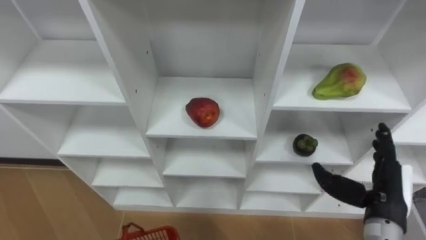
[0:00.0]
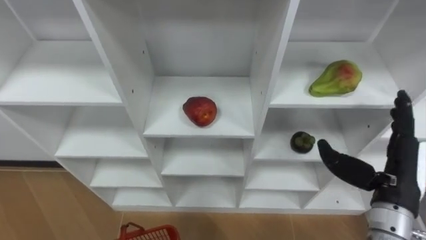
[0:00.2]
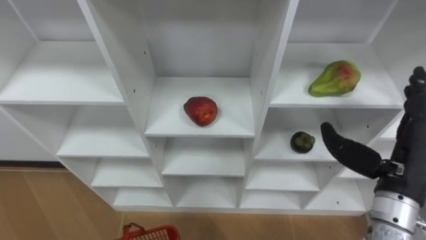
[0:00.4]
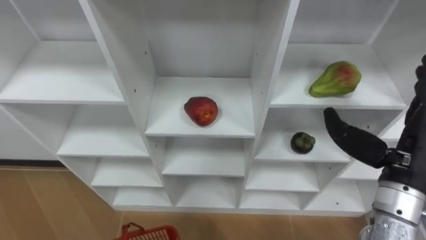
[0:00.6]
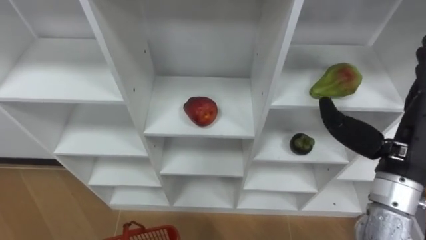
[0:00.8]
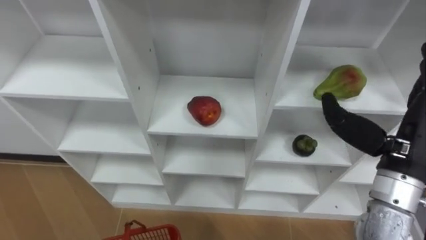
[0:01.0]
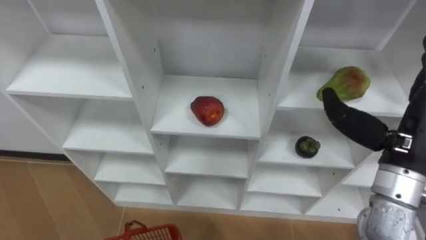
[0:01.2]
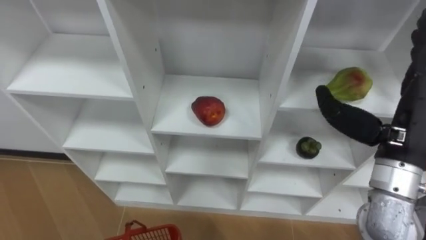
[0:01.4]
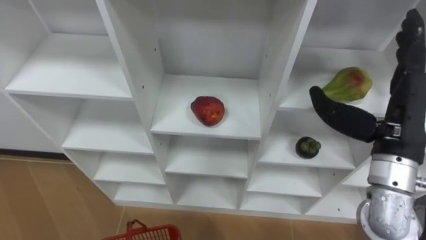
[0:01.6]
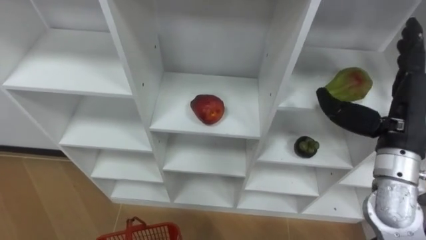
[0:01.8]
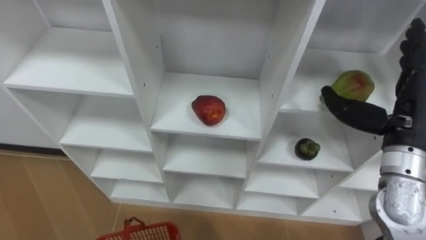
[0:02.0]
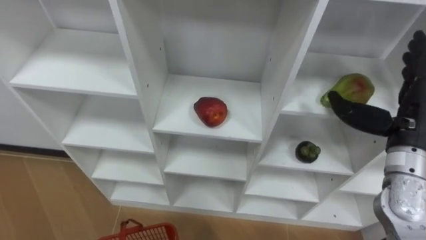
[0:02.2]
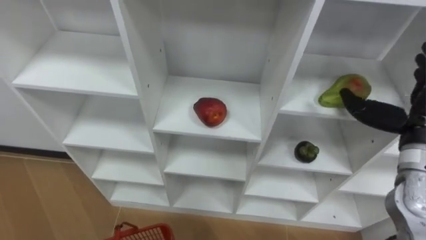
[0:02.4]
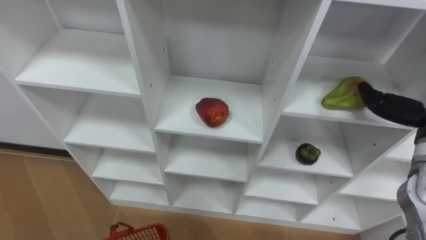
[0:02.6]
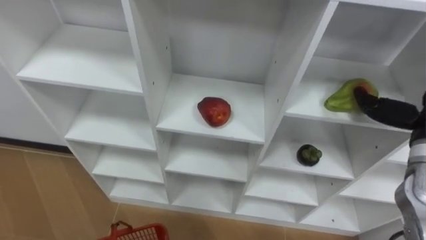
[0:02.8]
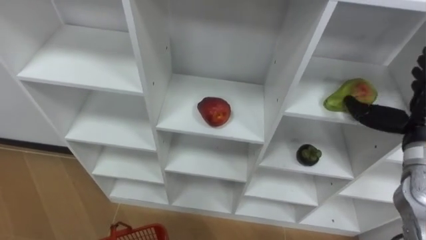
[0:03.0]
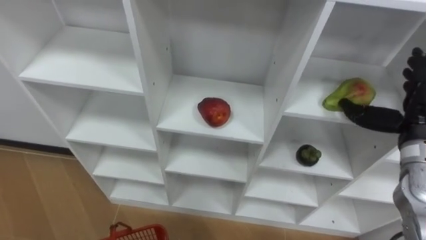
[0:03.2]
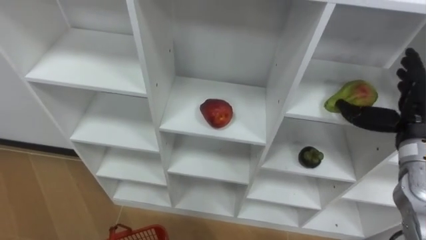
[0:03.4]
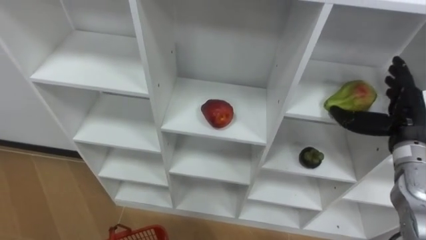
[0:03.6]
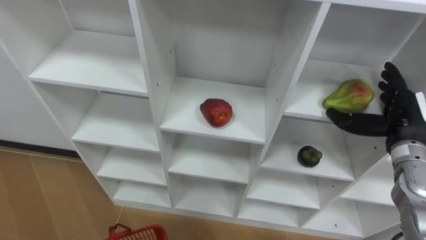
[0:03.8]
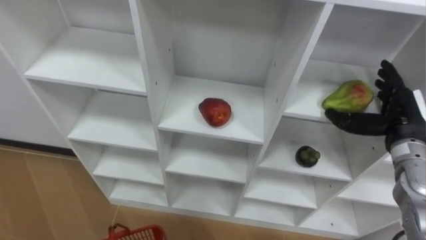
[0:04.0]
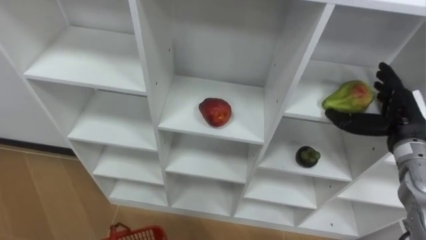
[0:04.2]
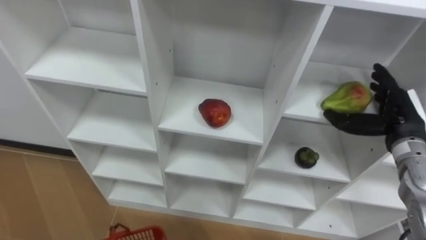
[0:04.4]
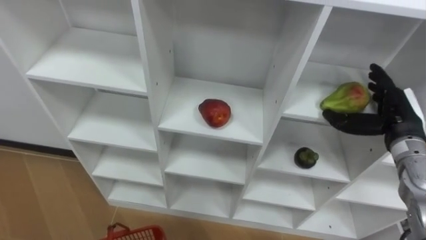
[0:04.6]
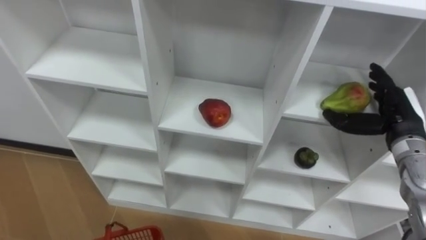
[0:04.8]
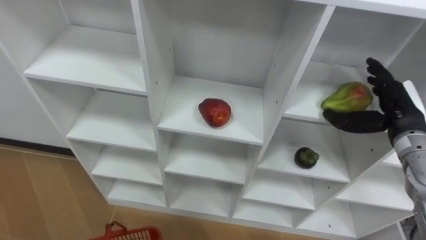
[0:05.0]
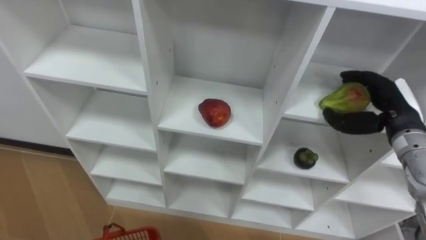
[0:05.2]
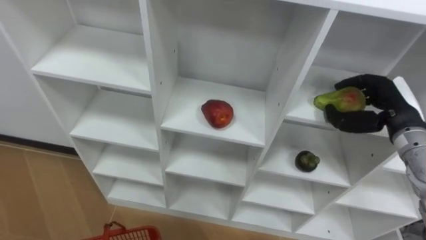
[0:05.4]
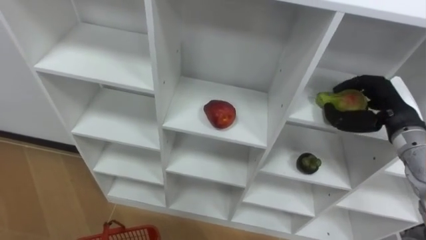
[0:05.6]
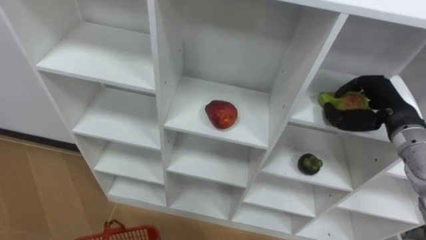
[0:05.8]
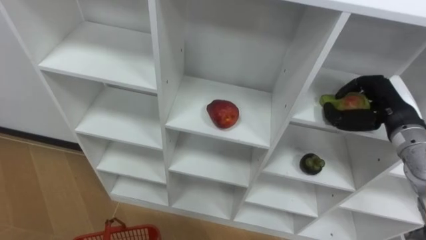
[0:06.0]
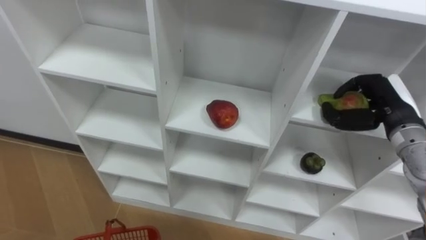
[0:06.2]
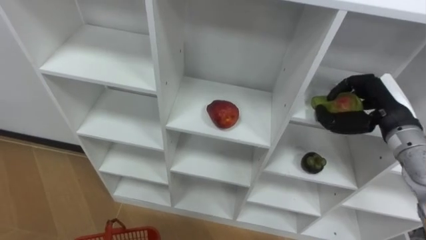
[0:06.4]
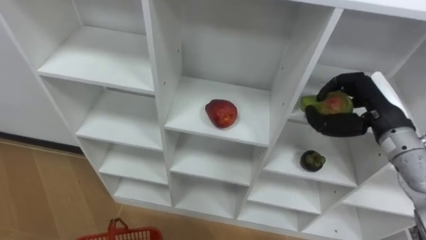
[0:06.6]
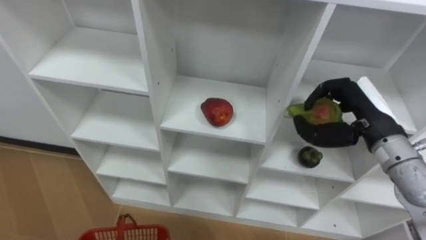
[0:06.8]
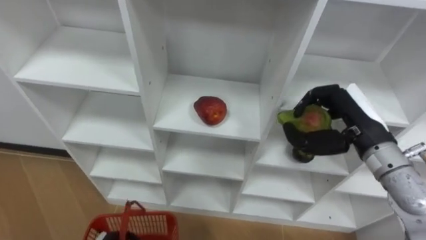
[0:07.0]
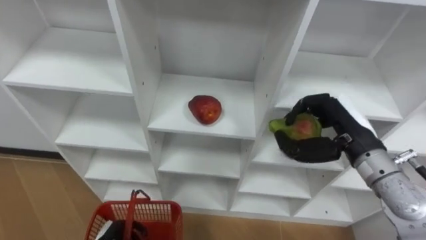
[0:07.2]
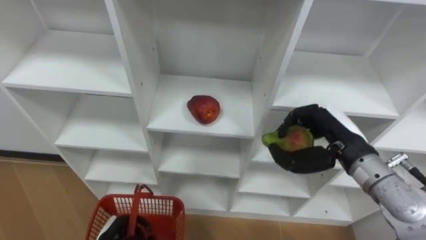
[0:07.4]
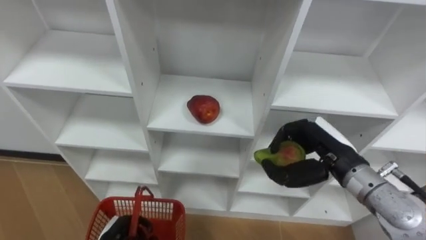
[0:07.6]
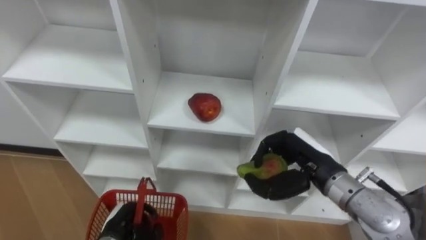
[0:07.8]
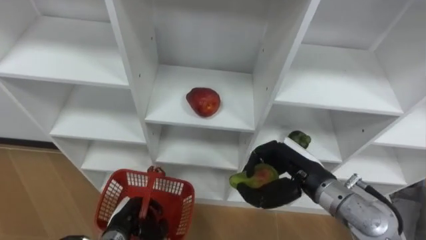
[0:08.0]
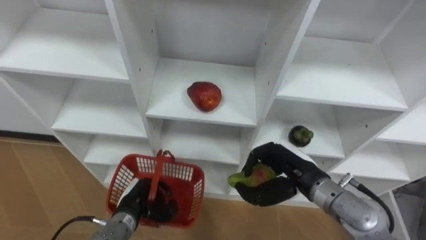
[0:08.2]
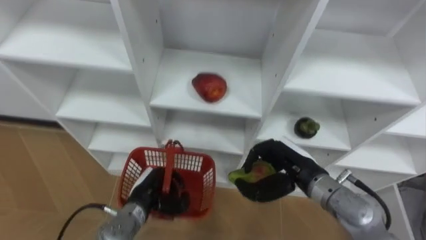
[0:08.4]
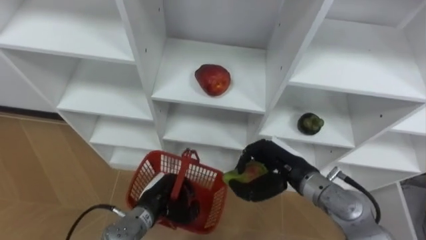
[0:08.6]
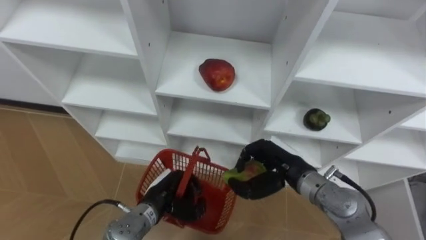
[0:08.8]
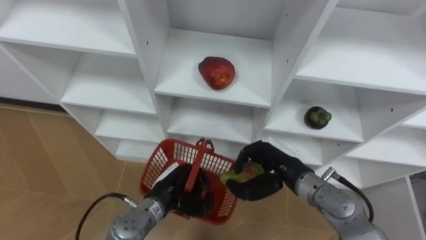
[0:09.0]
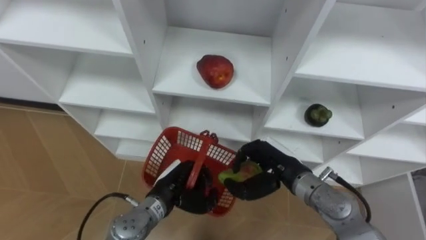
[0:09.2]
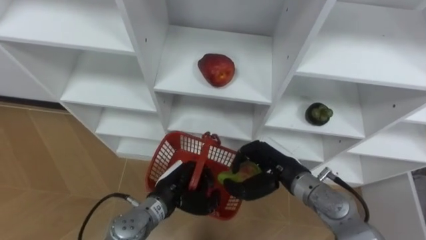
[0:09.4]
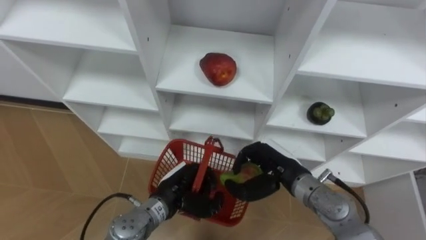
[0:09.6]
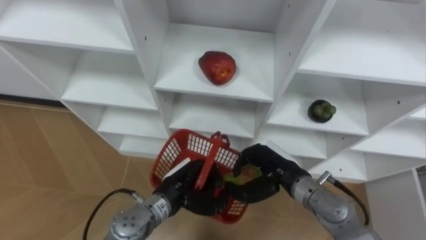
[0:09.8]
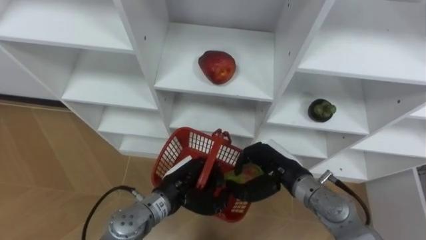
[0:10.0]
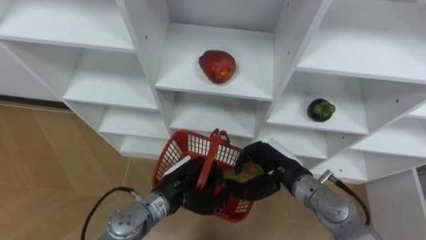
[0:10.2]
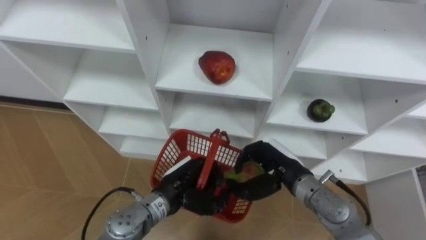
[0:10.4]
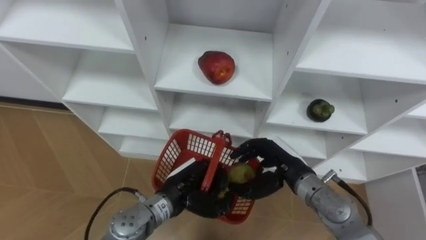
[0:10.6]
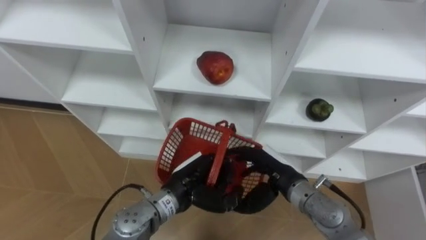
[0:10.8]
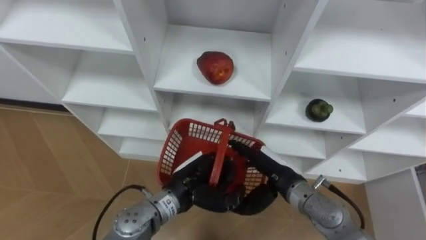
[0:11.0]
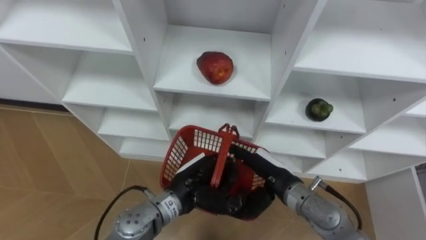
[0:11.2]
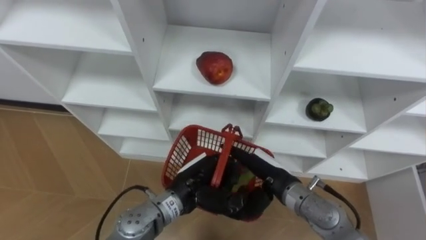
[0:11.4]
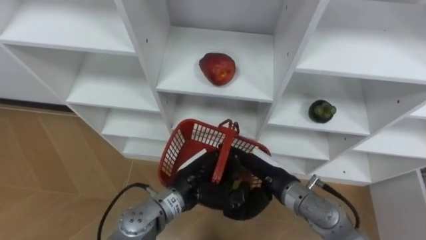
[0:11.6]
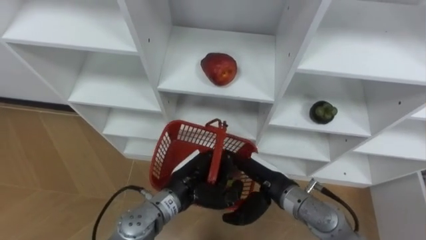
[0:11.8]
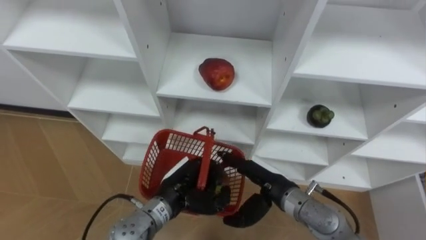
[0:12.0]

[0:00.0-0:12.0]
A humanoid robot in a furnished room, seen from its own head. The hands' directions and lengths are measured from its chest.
Task of the whole recording: Hold the basket and collect the fruits from 3 different cells of the closet into it.
0:00.0 to 0:01.6: The right hand moves upward, about 15 cm.
0:03.0 to 0:04.4: The right hand moves approximately 5 cm.
0:04.4 to 0:06.0: The right hand closes.
0:06.0 to 0:07.6: The right hand travels to the left and backward by roughly 15 cm.
0:07.6 to 0:09.0: The right hand travels to the left and downward by about 10 cm. The left hand travels to the right, forward and upward by roughly 15 cm.
0:10.4 to 0:12.0: The right hand opens up.

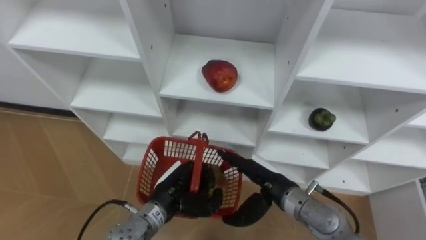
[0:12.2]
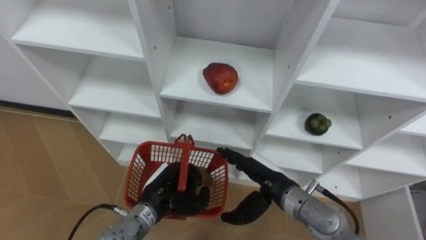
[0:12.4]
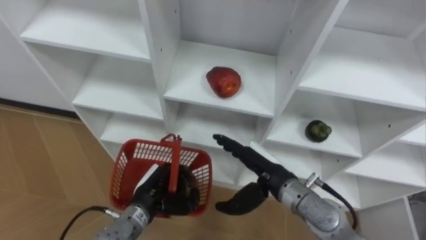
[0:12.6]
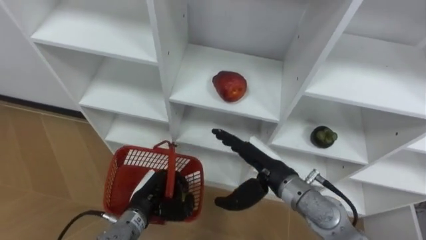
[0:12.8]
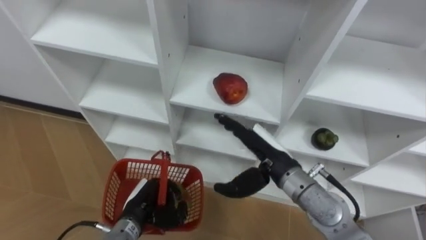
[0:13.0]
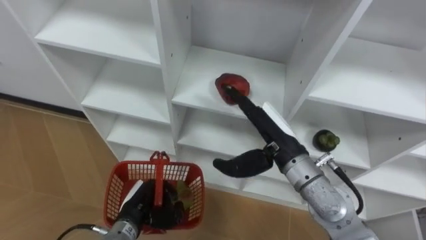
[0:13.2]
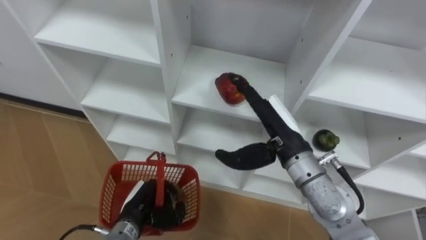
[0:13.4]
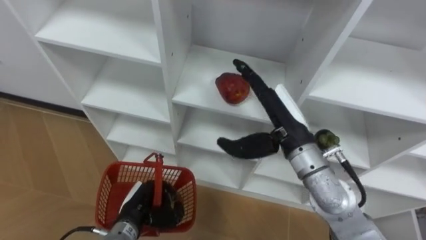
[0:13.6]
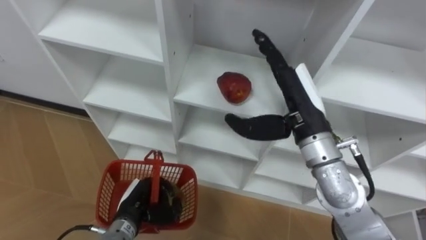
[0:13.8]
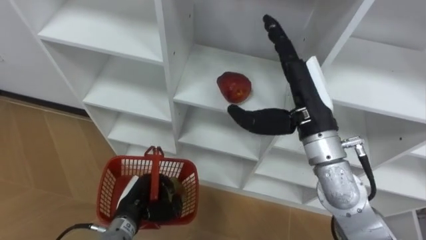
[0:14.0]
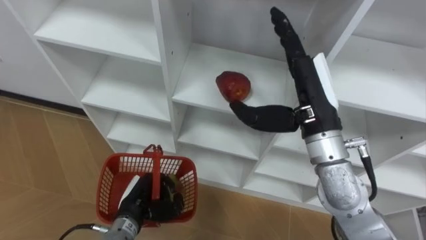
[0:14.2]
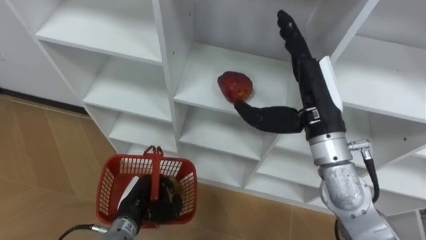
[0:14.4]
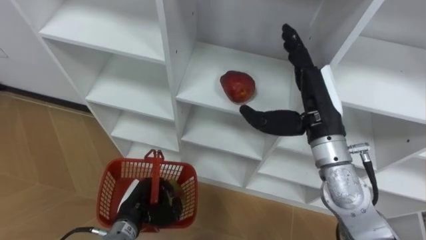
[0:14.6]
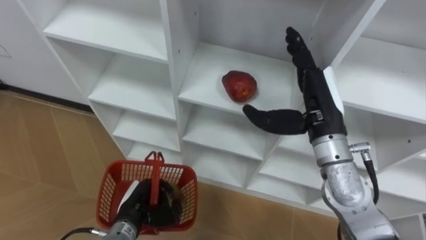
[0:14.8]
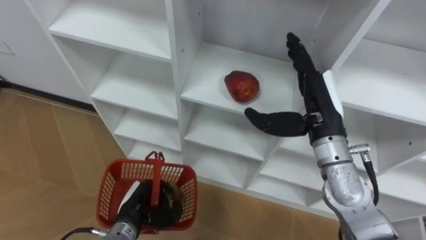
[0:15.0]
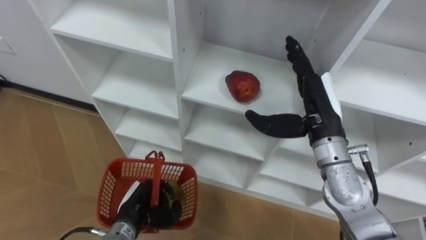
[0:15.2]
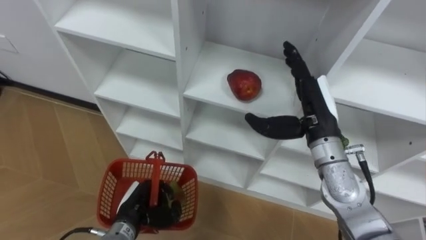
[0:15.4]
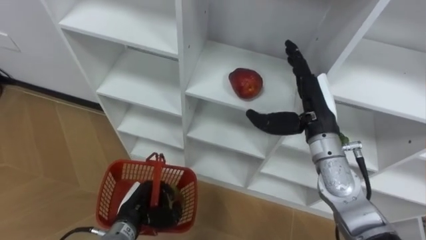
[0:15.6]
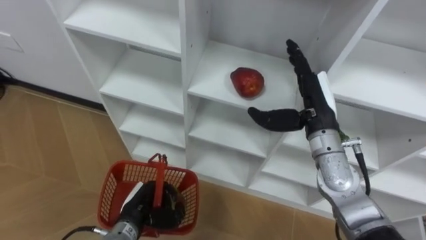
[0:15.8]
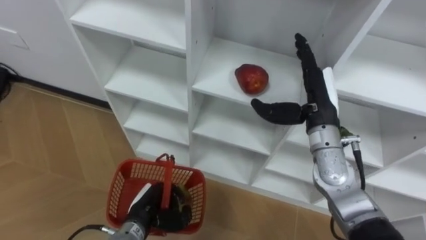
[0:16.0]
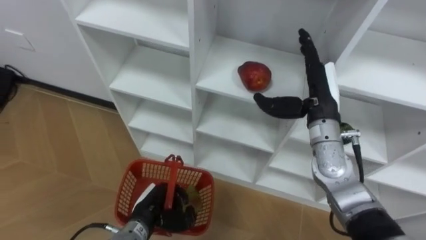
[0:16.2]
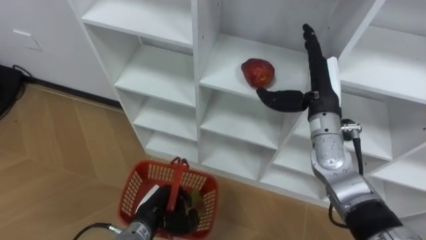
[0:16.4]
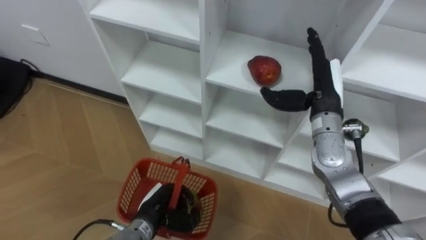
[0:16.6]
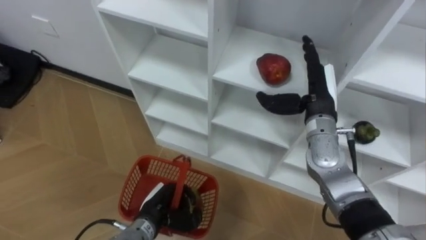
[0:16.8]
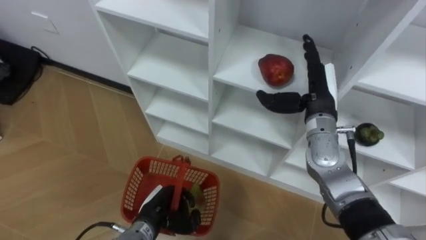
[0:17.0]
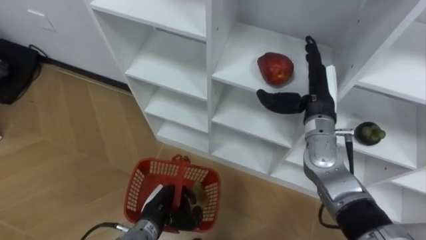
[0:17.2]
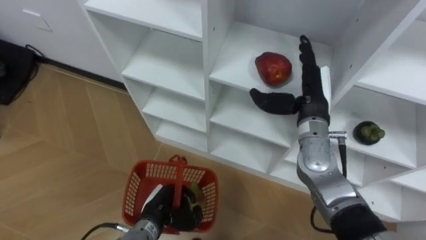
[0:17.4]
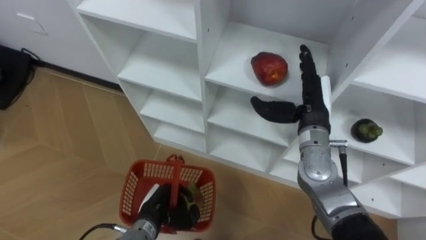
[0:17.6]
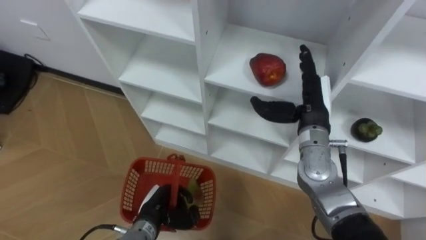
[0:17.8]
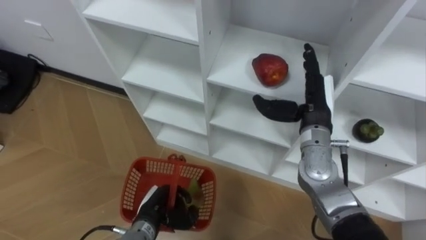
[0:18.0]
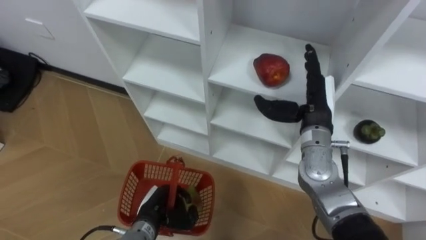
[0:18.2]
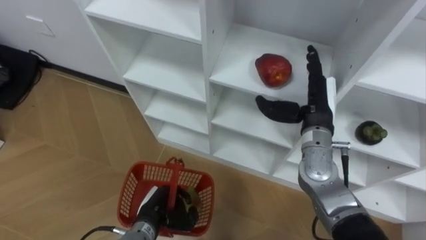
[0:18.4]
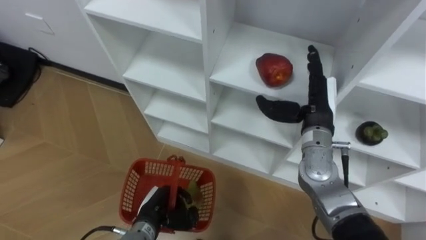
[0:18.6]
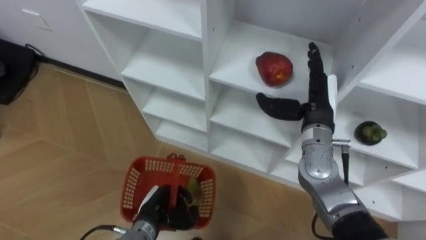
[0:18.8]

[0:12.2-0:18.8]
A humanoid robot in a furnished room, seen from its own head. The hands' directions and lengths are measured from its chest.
Task of the whole recording: Hold the basket and collect the fruits from 3 different cells of the closet into it.
0:12.2 to 0:13.8: The left hand moves to the left and downward, about 10 cm; the right hand heads upward, covering approximately 15 cm.
0:13.8 to 0:15.4: The right hand moves about 5 cm.
0:15.4 to 0:17.2: The right hand moves some 5 cm.
0:17.2 to 0:18.8: The hands stay close to where they were, moving slightly.
